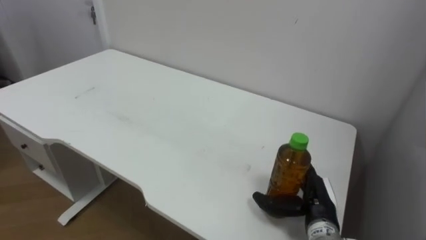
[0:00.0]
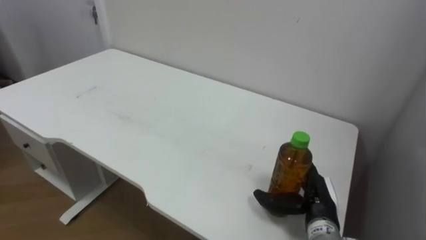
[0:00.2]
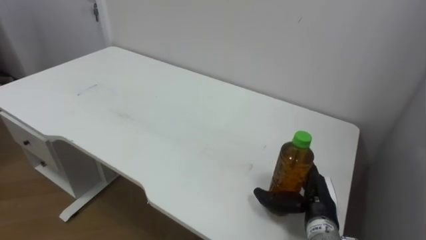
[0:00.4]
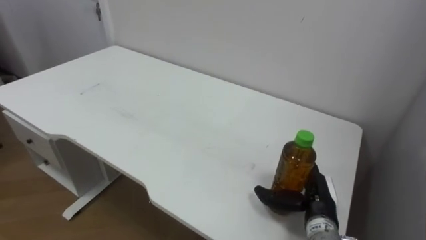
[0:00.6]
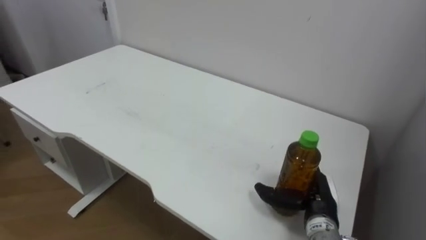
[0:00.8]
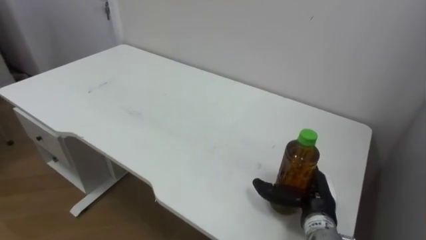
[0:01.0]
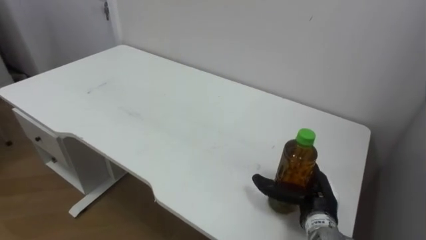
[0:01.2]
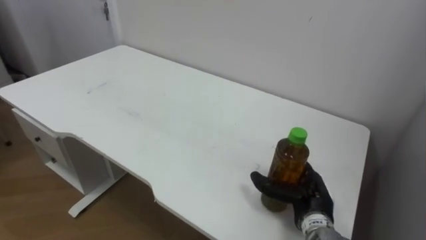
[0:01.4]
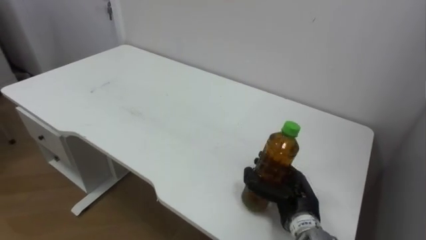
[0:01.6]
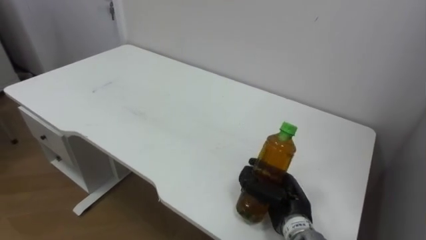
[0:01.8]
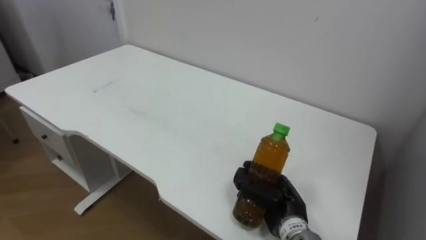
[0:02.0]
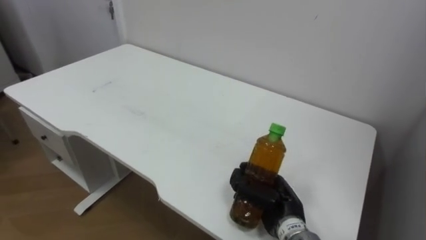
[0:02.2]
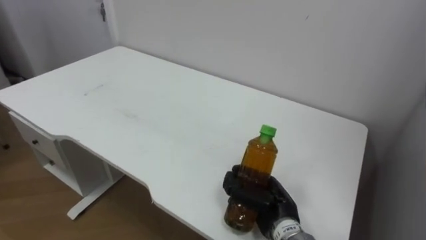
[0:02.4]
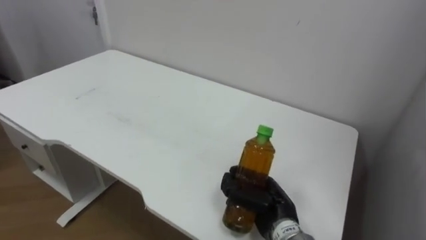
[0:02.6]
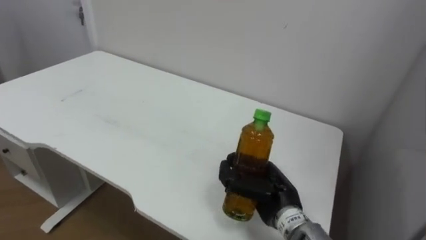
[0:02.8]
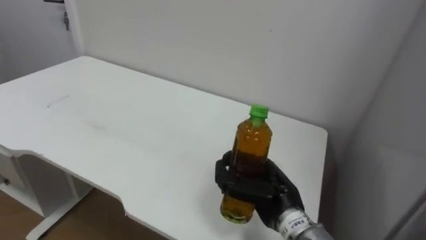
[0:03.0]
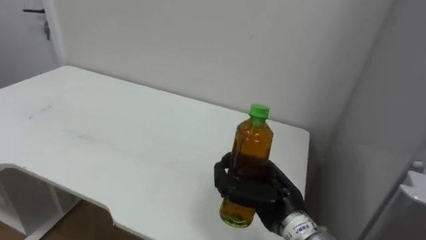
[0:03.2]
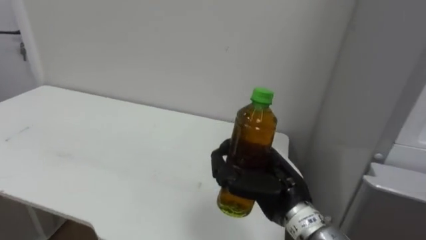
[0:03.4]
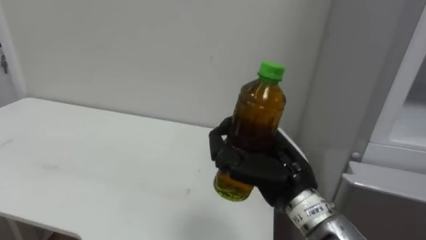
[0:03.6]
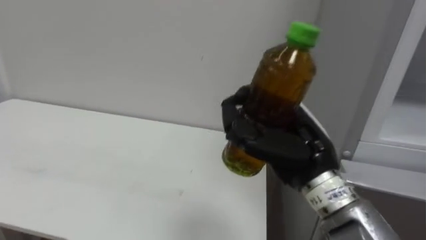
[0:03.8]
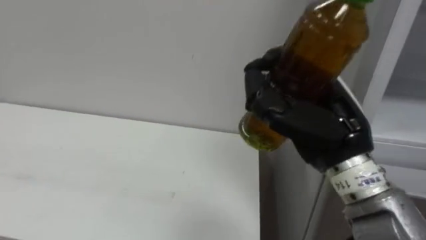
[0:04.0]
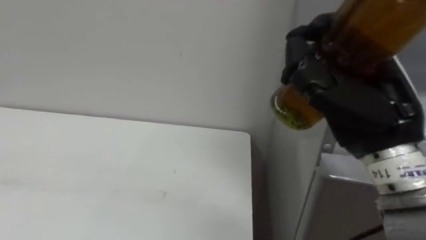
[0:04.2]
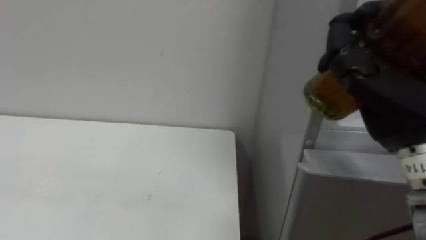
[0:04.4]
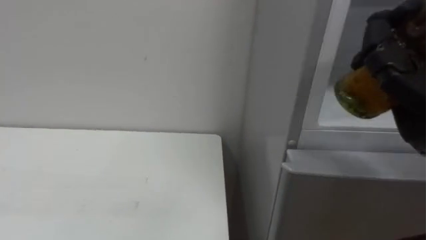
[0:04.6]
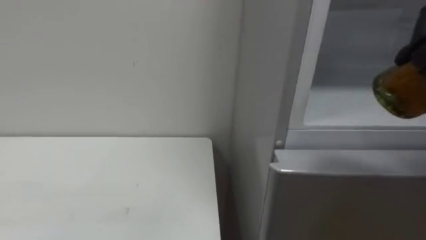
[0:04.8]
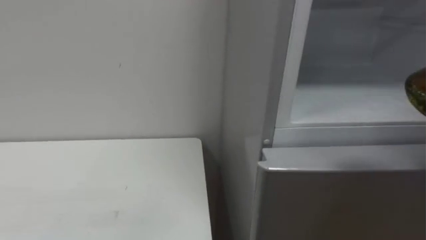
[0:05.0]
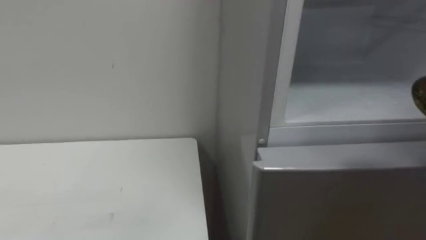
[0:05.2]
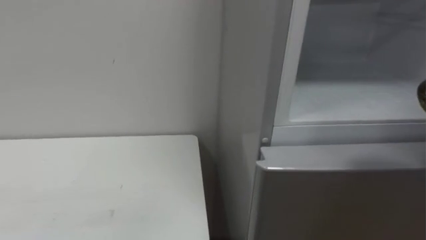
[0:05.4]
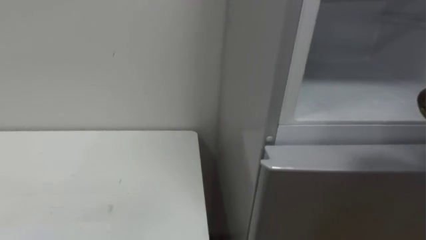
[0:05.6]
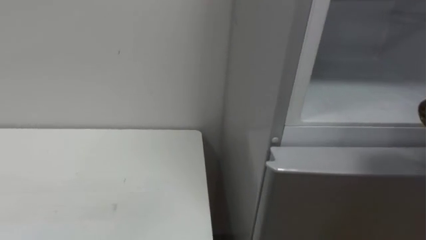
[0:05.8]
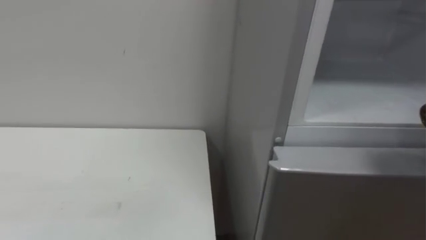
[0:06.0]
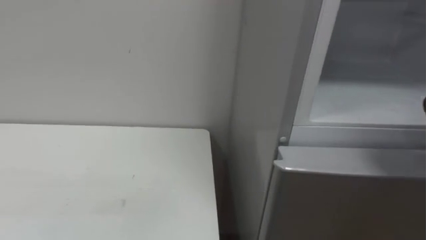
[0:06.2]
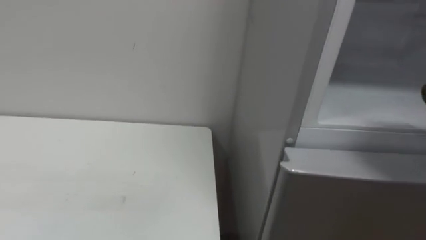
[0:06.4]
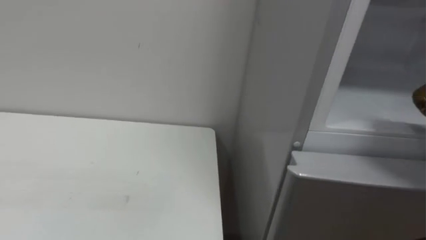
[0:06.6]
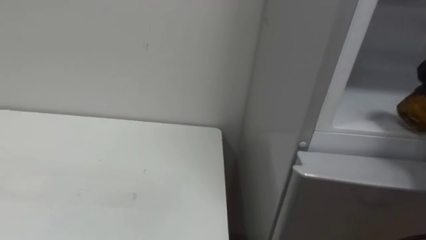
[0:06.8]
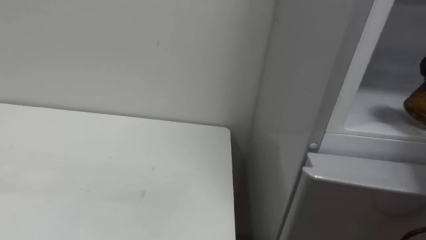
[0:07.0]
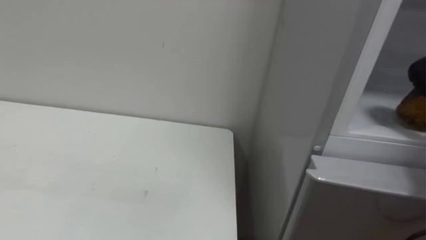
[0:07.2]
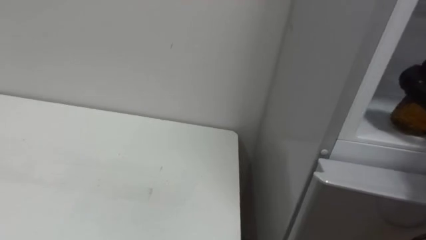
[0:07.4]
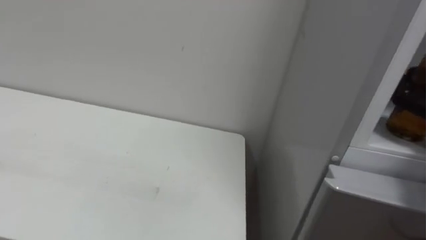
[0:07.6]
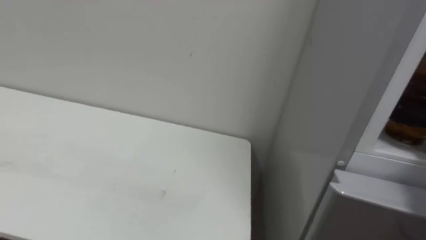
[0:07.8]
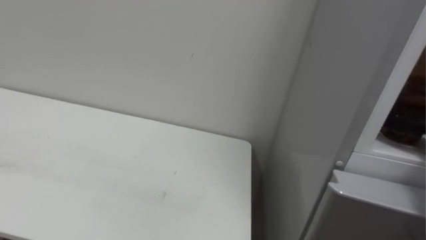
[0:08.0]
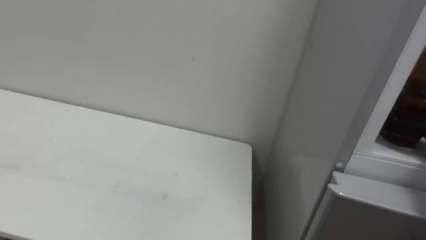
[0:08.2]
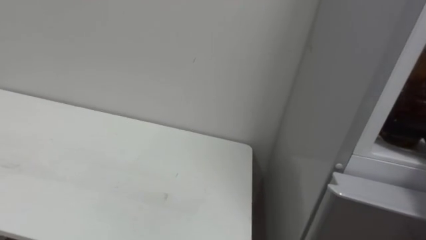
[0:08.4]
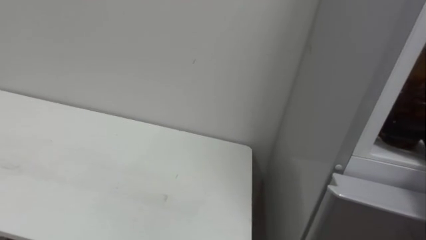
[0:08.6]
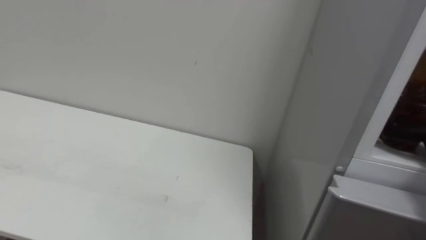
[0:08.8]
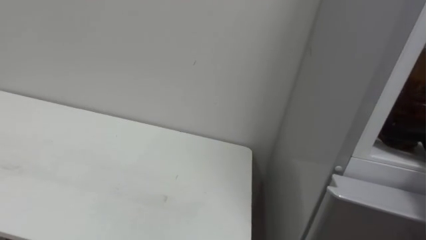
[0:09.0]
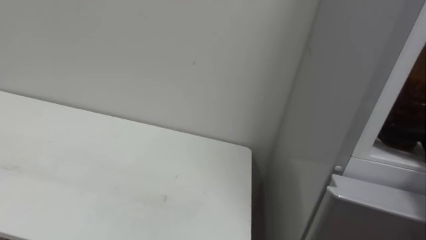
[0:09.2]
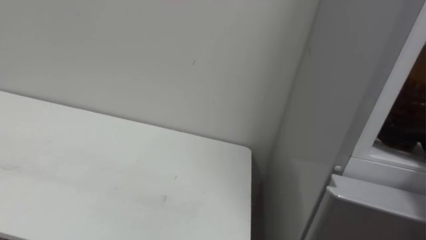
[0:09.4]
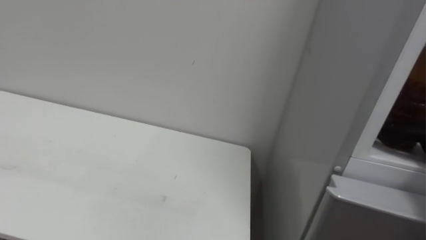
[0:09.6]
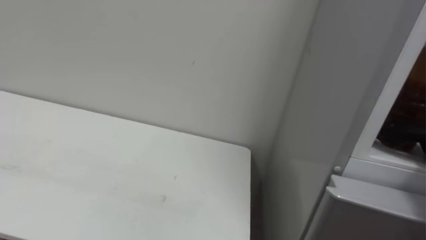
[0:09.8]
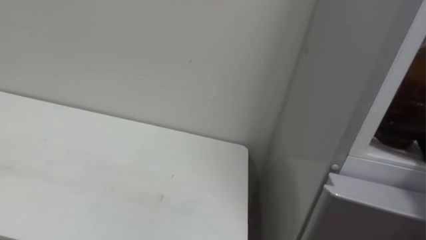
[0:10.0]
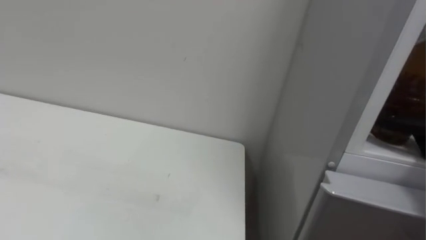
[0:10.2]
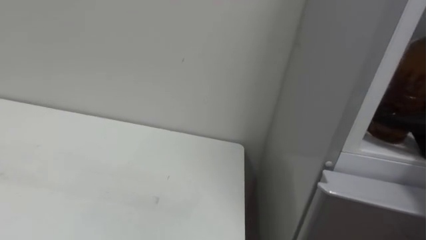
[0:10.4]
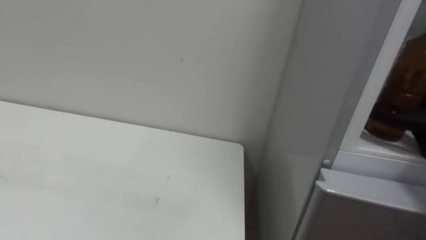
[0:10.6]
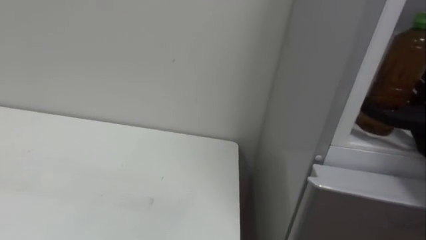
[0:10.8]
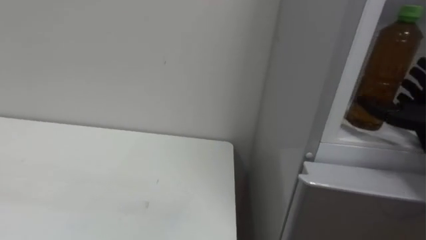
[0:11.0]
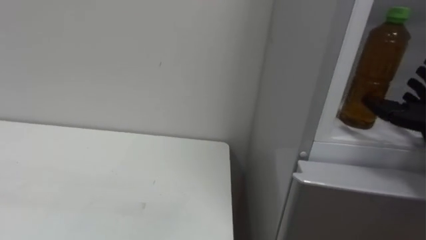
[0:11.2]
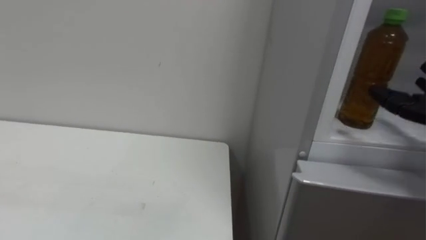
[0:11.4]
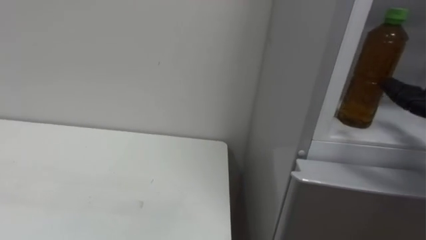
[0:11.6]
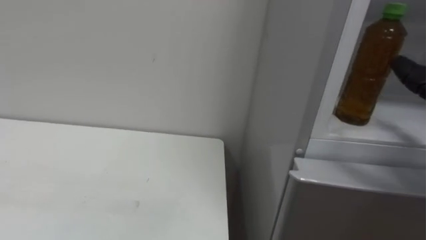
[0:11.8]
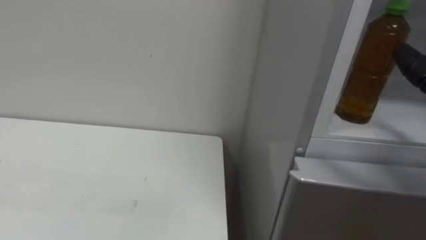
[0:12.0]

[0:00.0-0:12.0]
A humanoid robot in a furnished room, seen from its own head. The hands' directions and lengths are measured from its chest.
Task of the whole recording: Open the upper refrigerator door, put the drink from the table into the refrigerator, and then close the refrigerator door.
0:00.0 to 0:01.6: The right hand closes.
0:01.6 to 0:03.0: The right hand heads to the left, covering approximately 5 cm, and closes.
0:03.0 to 0:04.4: The right hand heads upward and to the right, covering roughly 25 cm.

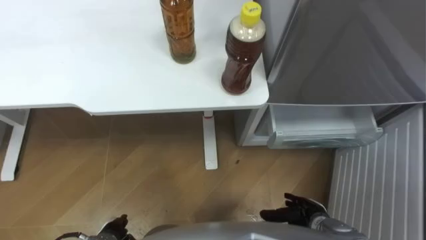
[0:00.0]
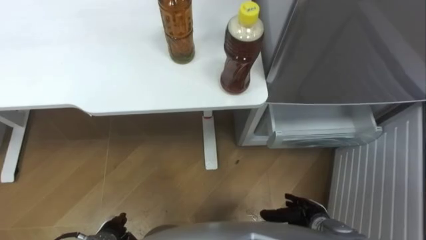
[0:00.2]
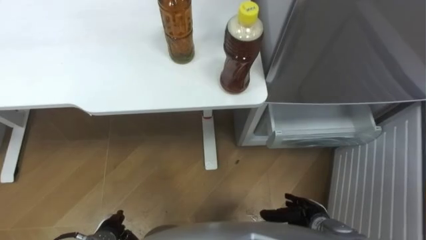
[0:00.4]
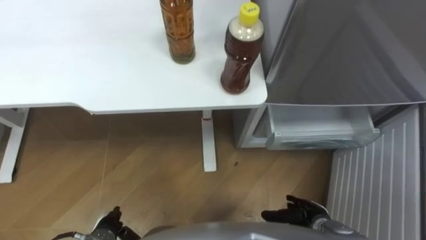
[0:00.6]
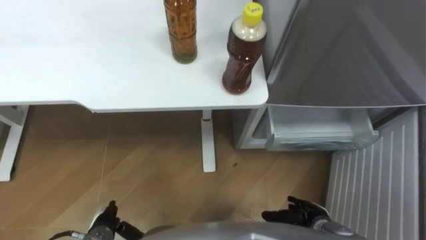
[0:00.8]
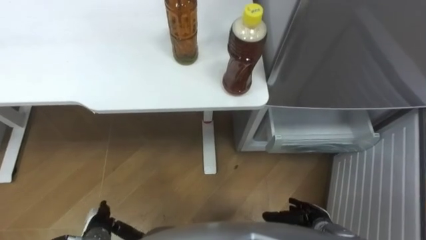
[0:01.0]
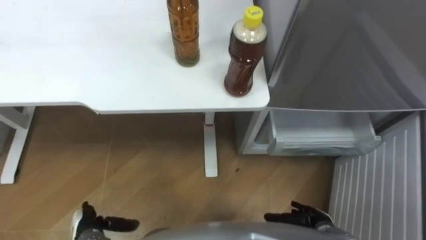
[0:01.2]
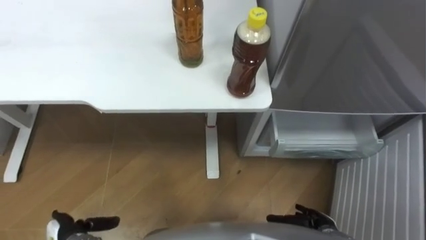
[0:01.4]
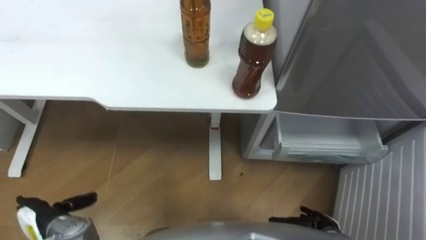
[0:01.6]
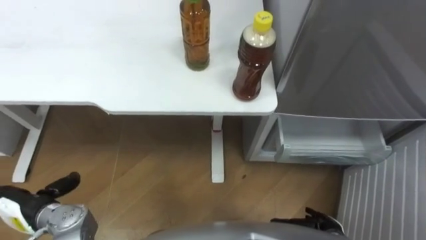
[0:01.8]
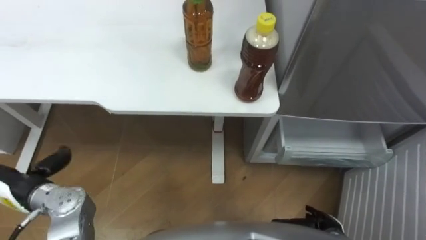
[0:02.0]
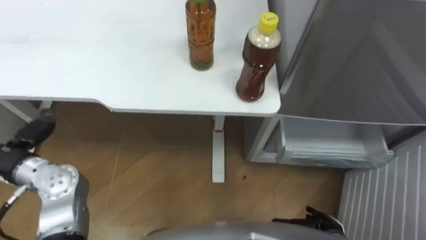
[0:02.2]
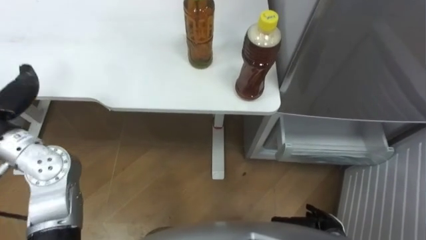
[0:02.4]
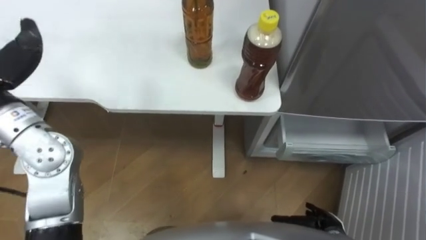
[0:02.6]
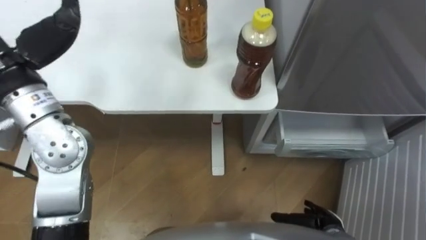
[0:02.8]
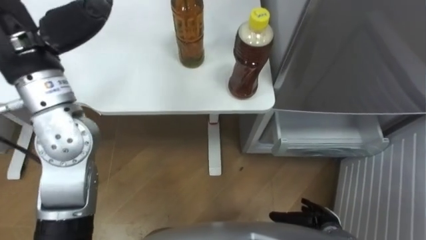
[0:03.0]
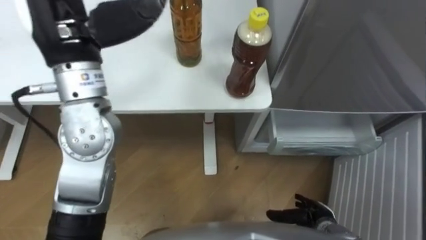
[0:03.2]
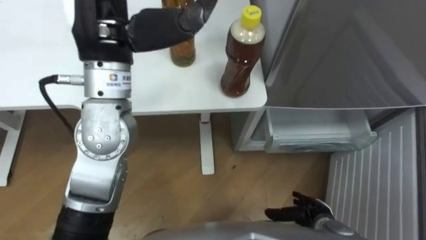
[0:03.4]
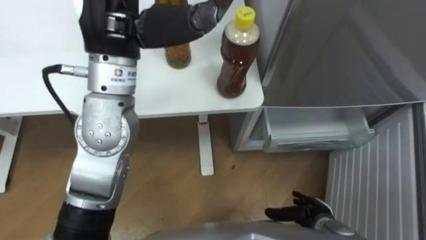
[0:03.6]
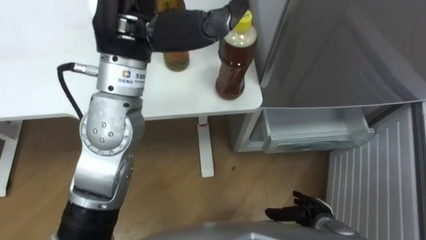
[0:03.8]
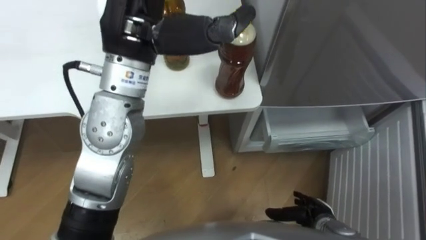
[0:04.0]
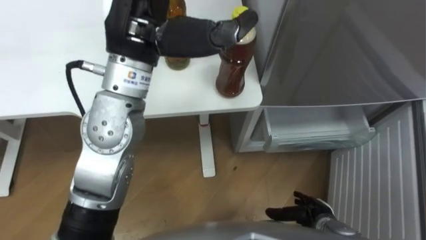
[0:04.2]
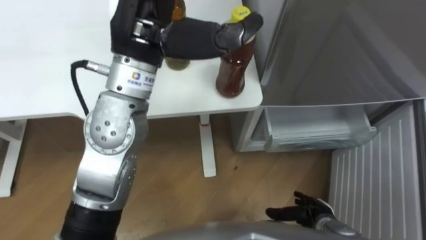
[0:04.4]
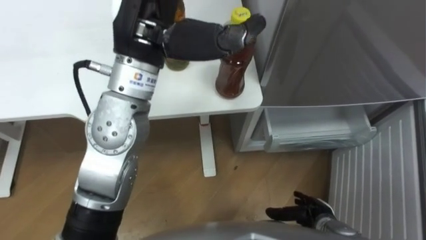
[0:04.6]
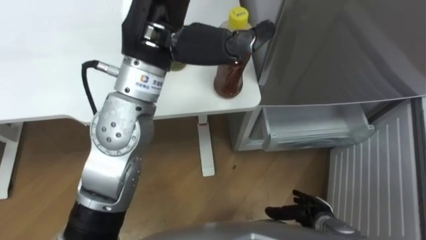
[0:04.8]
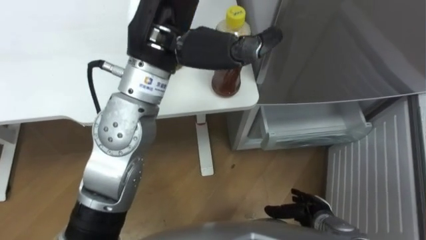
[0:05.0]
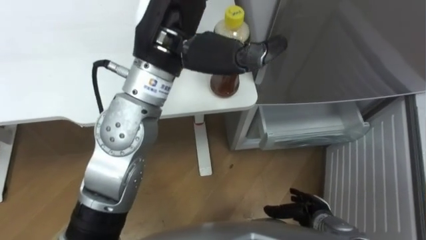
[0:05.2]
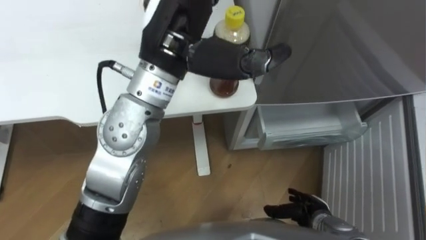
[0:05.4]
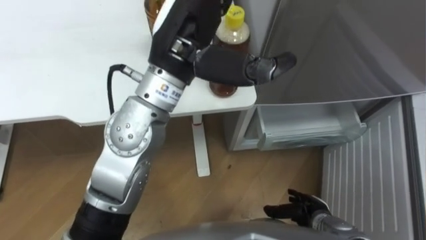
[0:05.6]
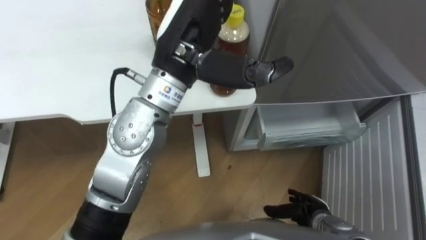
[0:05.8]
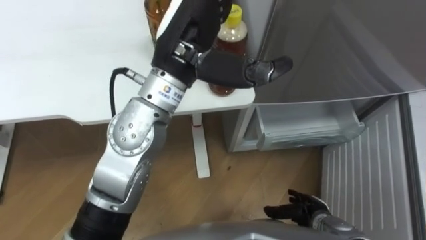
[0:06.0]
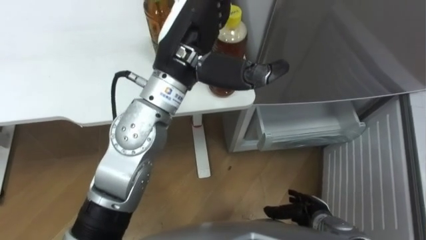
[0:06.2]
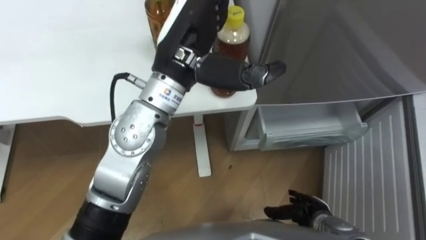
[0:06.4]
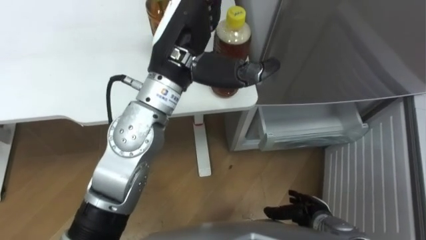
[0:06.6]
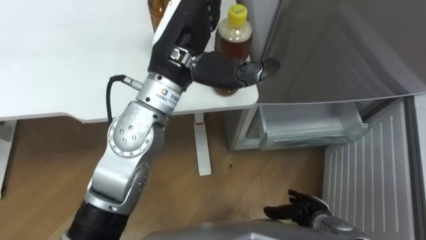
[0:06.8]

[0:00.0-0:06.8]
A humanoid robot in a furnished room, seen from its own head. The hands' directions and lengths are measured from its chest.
Task of the whole recording: Place the drink on the table on the bottom shelf of the refrigerator, then close the drawer and the refrigerator door.
0:05.4 to 0:06.8: The hands stay close to where they were, moving slightly.
